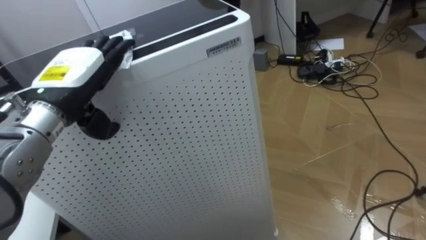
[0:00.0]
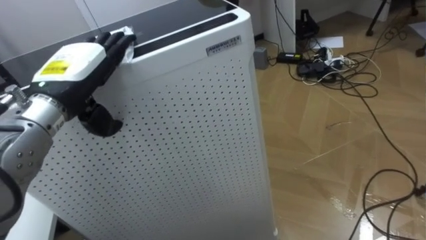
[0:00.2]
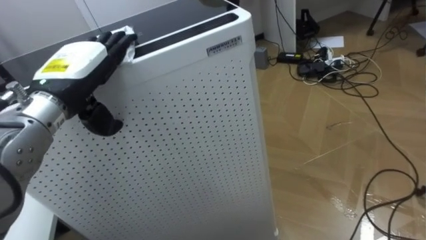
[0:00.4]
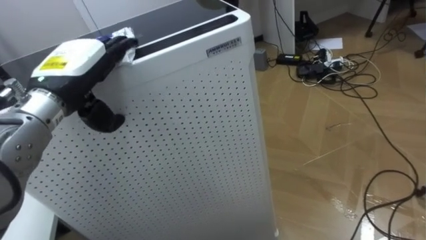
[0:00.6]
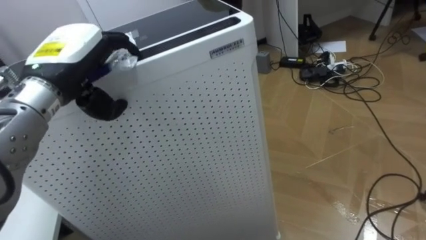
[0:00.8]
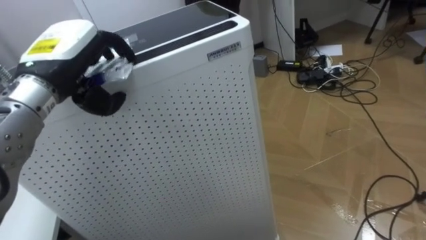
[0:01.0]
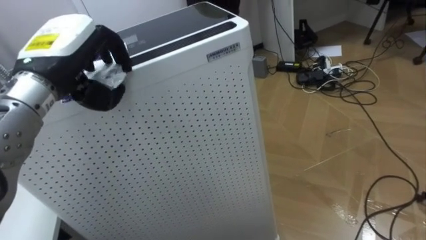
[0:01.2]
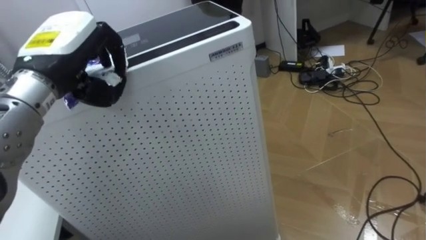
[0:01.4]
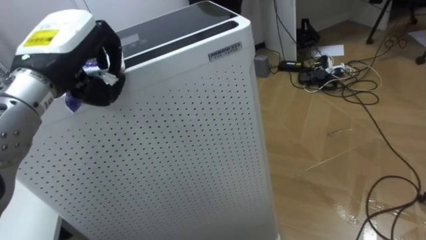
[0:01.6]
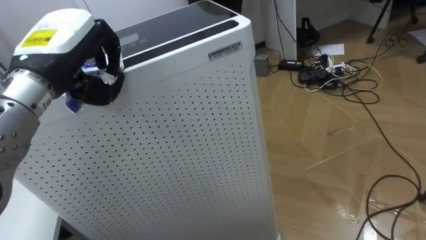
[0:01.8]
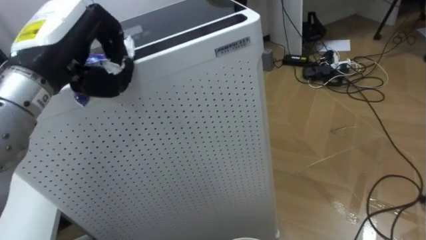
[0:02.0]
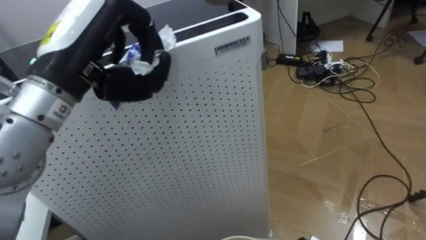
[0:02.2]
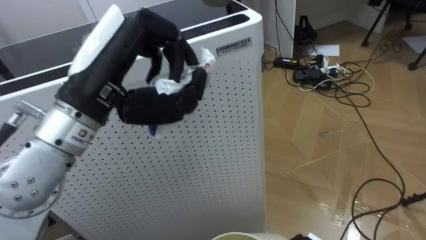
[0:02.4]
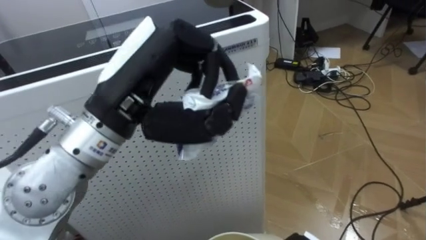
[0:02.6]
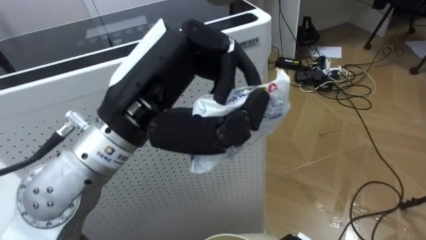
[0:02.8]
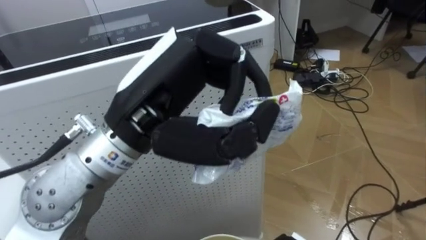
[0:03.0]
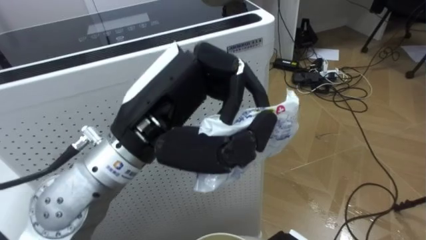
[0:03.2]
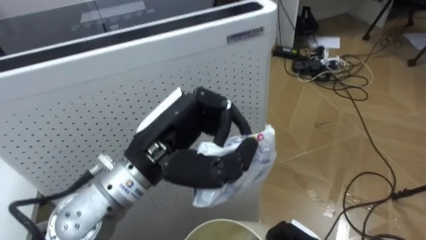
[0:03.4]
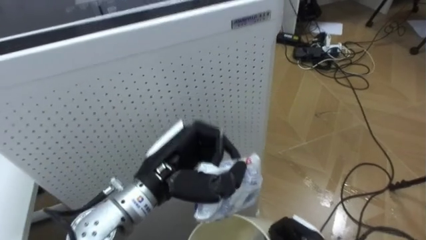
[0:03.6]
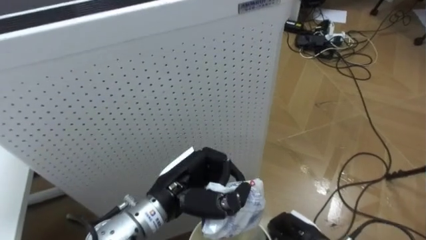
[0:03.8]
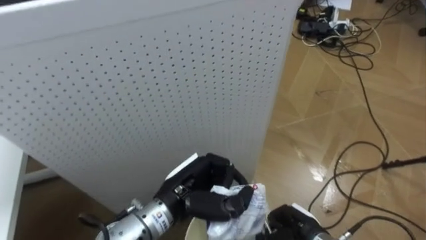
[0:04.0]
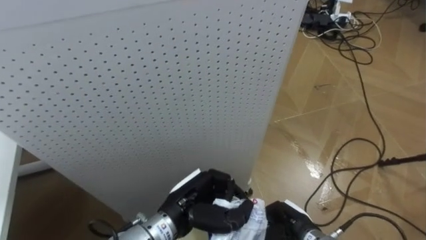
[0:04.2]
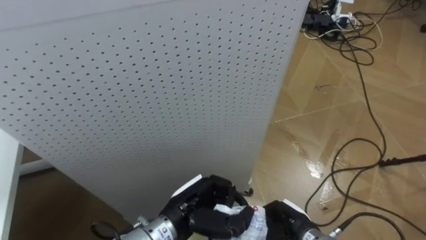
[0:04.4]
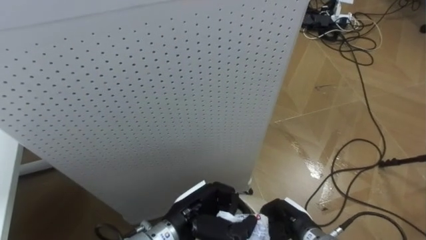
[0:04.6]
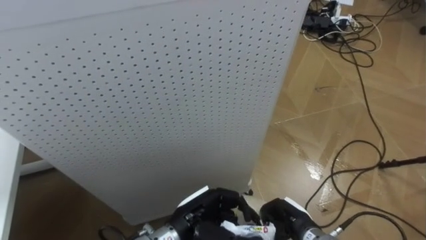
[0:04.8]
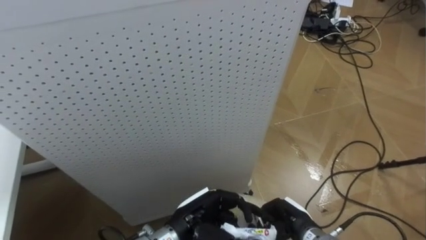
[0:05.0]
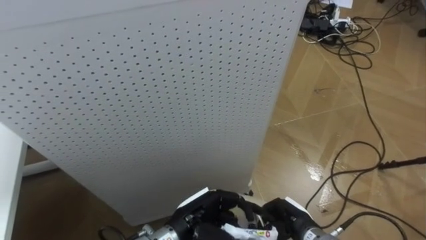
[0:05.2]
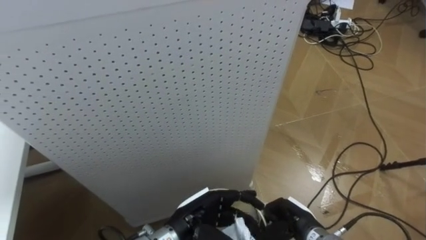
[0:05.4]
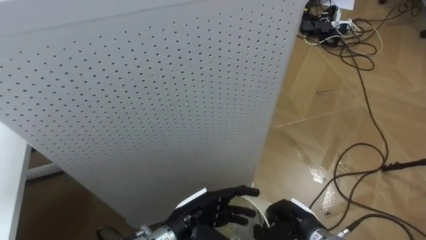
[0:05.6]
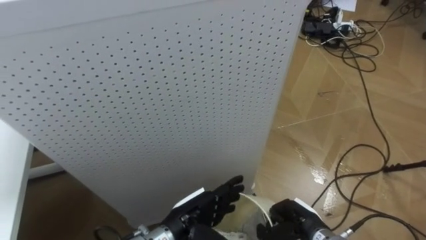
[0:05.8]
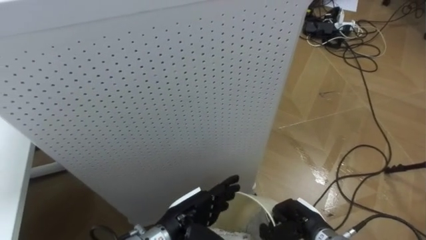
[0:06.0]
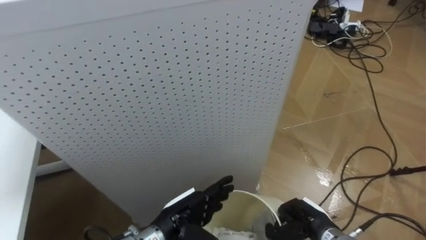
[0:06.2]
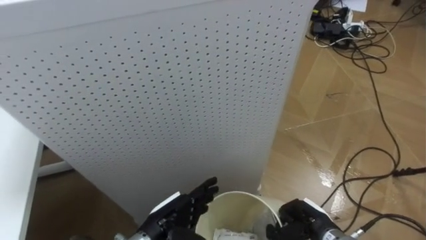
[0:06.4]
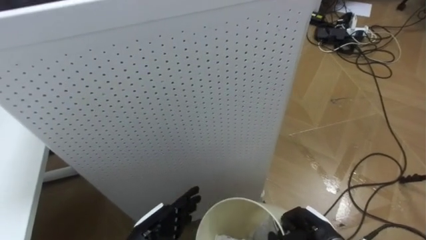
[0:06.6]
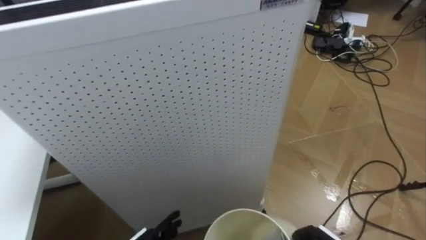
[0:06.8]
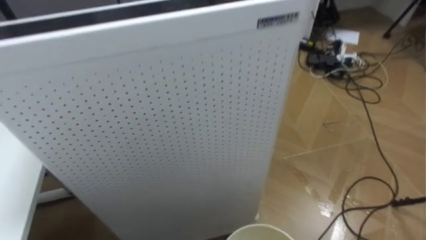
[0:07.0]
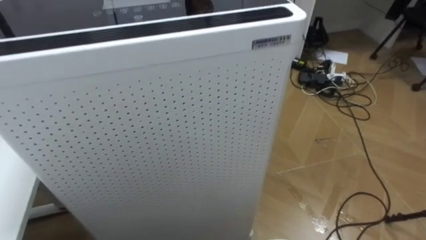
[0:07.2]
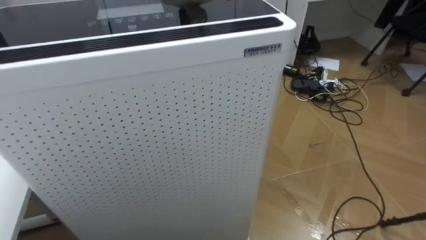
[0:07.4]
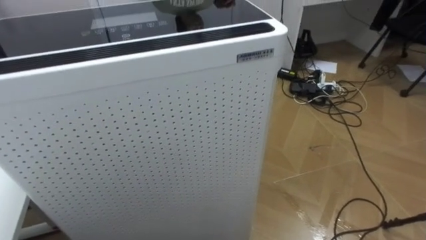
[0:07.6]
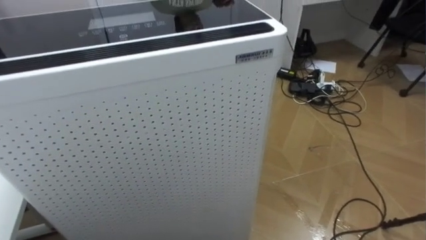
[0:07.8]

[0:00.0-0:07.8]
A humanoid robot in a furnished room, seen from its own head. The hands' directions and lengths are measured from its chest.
Task of the whole recording: Pick up the light blue package, the candy box, and the dark blue package separately, and put them into the trash can held in your right hand.
0:00.0 to 0:01.6: The left hand closes its fingers.
0:01.6 to 0:03.2: The left hand heads to the right and backward, covering roughly 15 cm.
0:03.2 to 0:04.6: The left hand is displaced downward by roughly 25 cm.
0:04.6 to 0:06.2: The left hand opens.

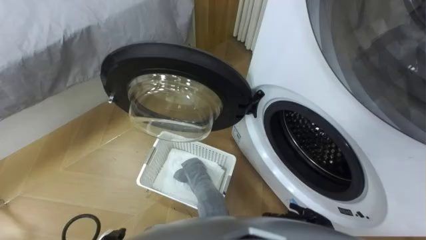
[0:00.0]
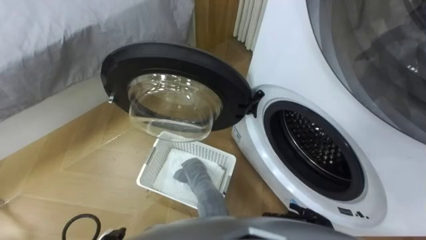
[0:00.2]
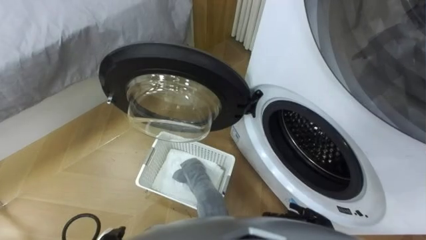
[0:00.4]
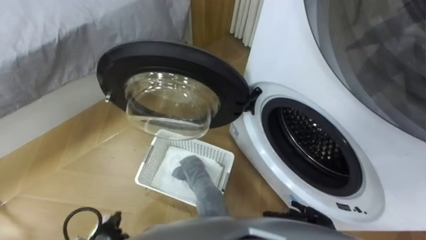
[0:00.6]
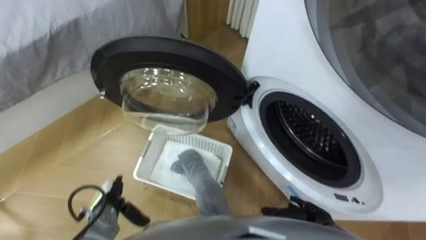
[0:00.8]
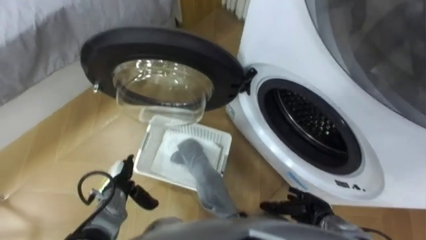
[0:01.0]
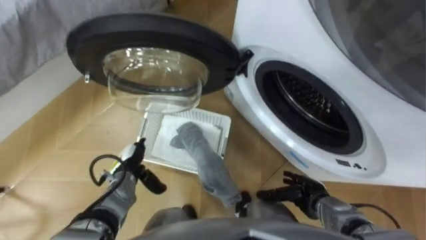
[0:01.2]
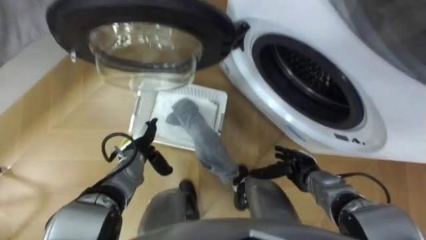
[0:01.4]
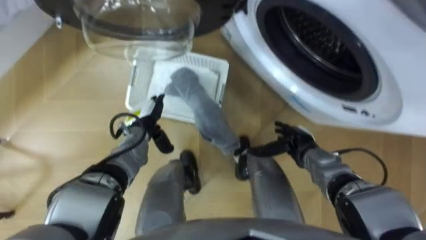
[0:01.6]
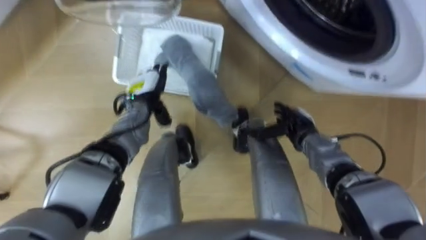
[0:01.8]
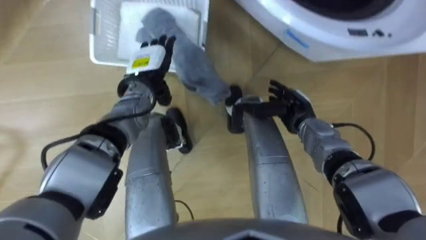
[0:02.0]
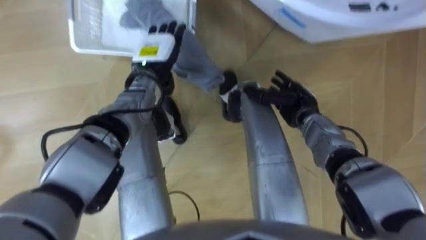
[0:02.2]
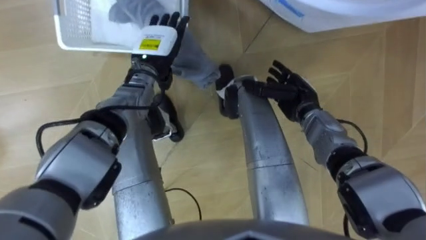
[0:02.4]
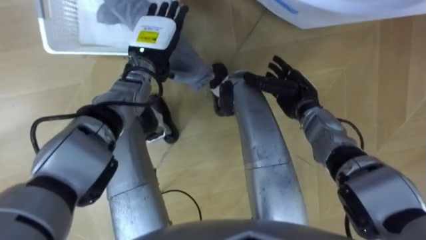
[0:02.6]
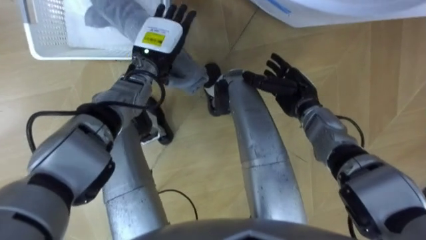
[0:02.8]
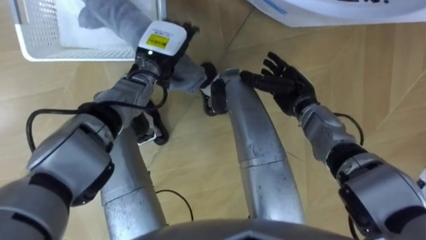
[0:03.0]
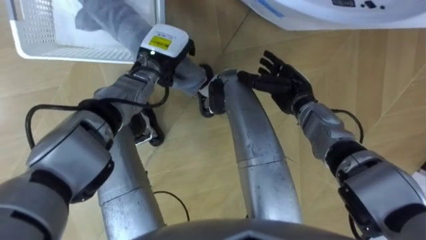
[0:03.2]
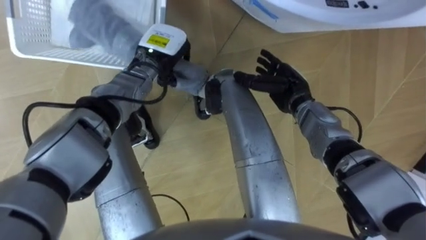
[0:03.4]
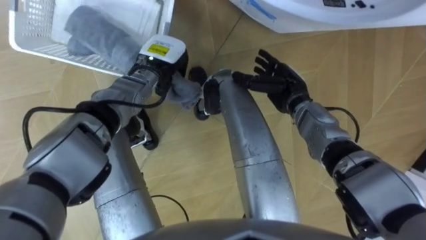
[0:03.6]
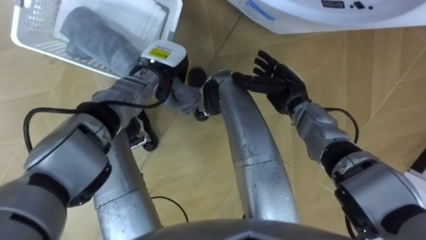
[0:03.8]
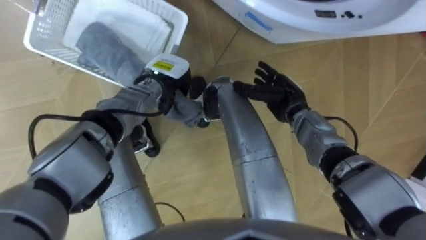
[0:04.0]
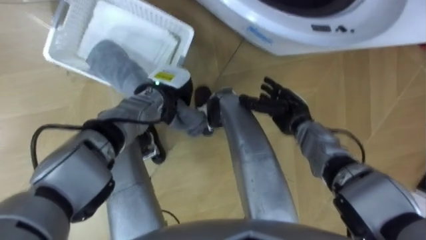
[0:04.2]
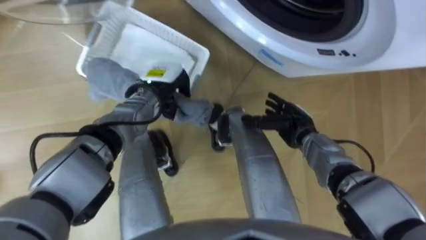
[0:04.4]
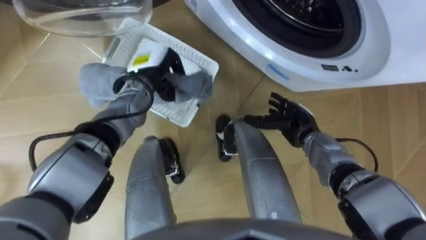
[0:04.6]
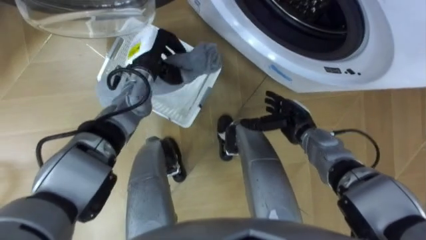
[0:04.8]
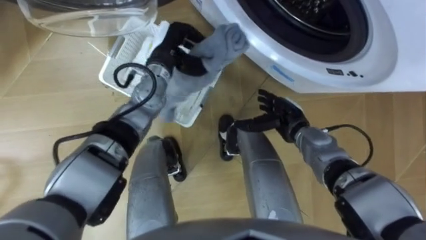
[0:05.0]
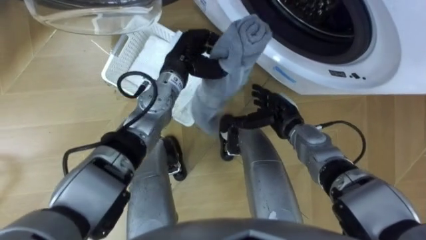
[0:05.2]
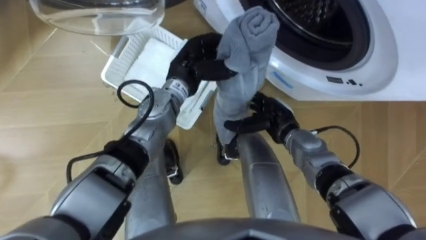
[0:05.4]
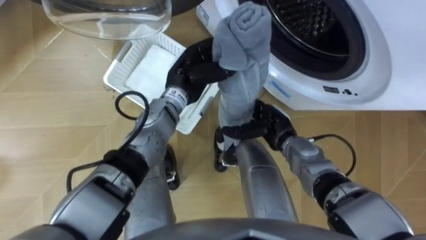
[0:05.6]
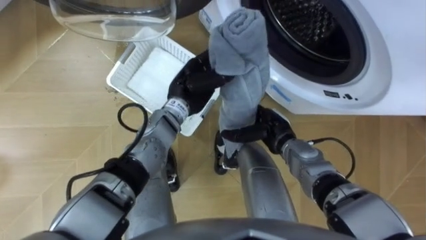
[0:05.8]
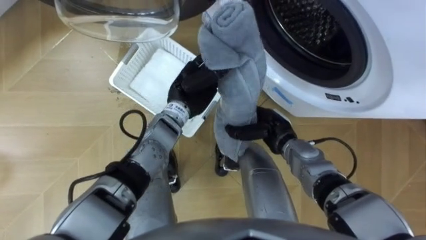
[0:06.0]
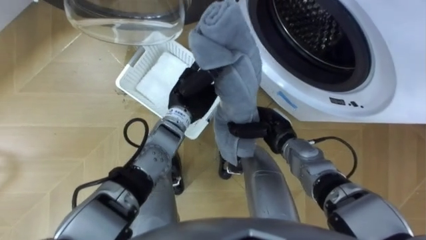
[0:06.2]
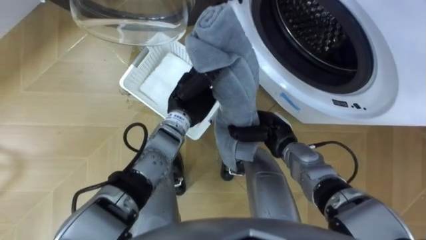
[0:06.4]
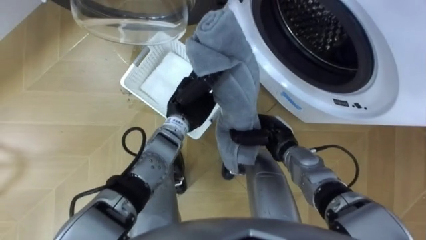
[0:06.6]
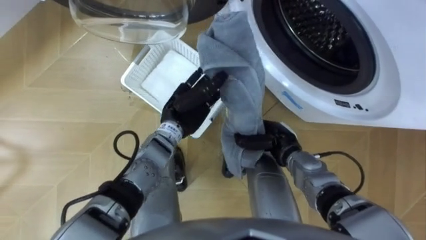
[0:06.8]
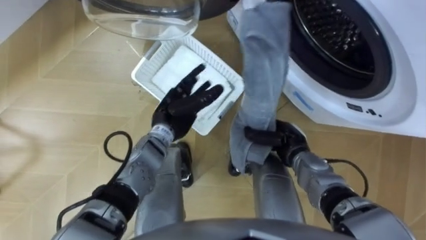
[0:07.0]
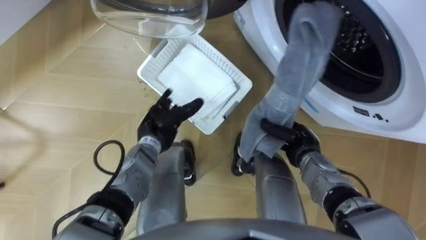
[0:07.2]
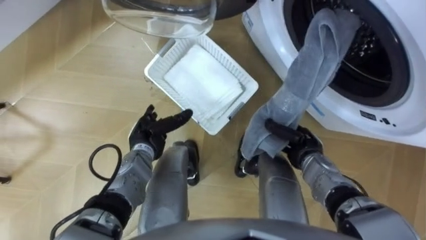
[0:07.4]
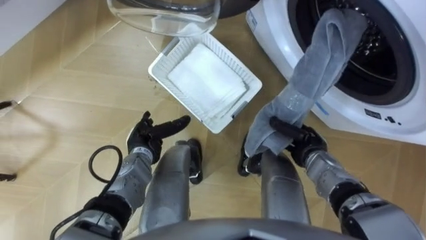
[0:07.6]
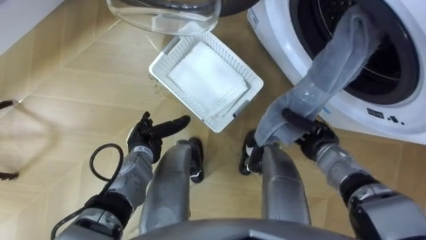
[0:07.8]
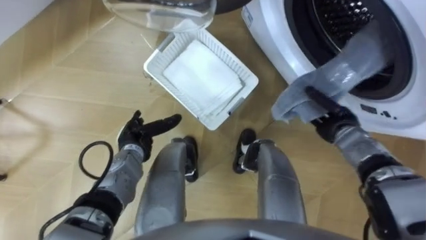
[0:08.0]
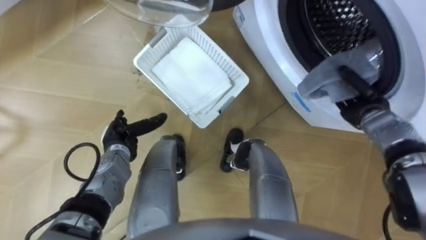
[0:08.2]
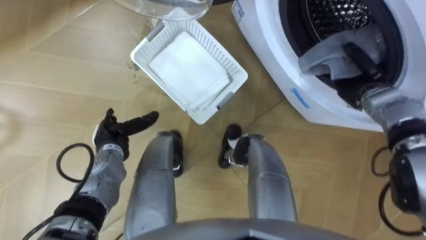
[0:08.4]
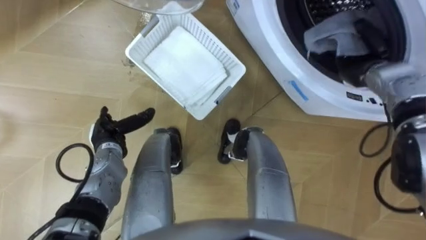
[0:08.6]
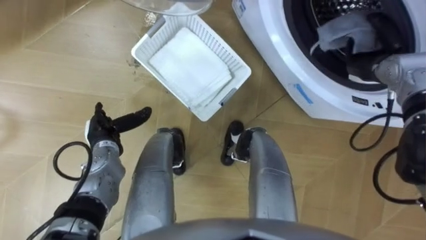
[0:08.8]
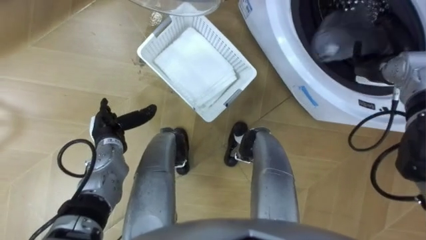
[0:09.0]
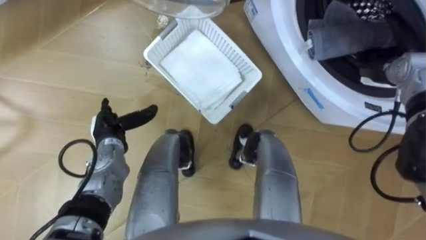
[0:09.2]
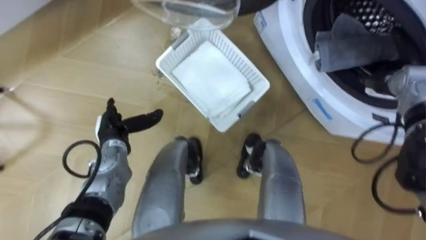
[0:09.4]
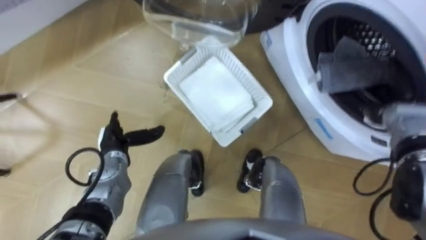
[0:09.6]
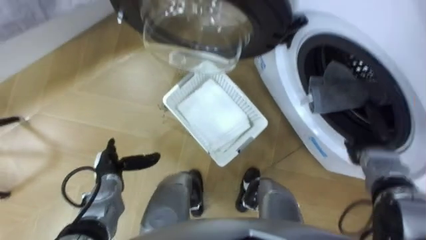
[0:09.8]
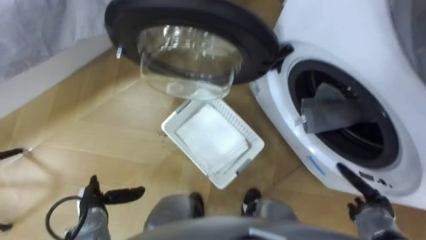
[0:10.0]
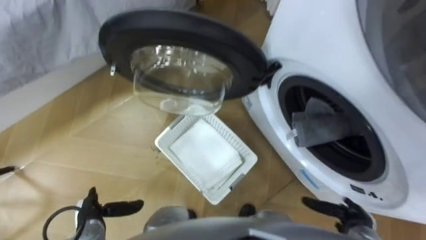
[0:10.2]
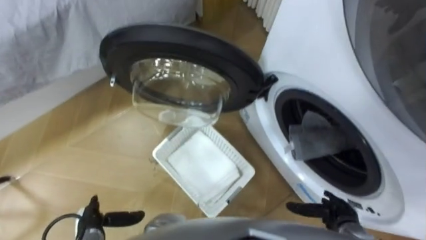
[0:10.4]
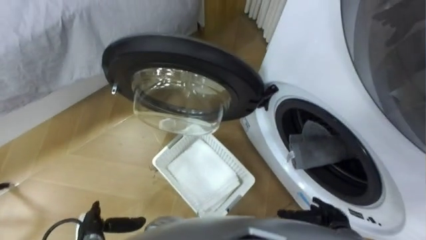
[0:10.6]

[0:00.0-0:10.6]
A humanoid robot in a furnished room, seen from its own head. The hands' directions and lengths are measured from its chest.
Task of the whole recording: Take the towel from the basket and put it into the washing machine.
0:01.6 to 0:03.0: The right hand heads forward and upward, covering some 15 cm; the left hand moves upward, forward and to the right, some 20 cm.
0:03.0 to 0:04.6: The left hand closes up. Meanwhile the right hand goes about 10 cm backward and downward.
0:04.6 to 0:06.0: The right hand travels to the left by roughly 5 cm, while the left hand travels to the right and backward by about 10 cm.
0:06.0 to 0:07.6: The right hand goes approximately 10 cm to the right. Meanwhile the left hand shifts about 20 cm downward, to the left and backward, and opens.
0:07.6 to 0:09.0: The left hand heads to the left, covering some 10 cm; the right hand moves upward, to the right and forward, some 25 cm, and opens its fingers.
0:09.0 to 0:10.6: The left hand moves backward and downward, roughly 20 cm, while the right hand is displaced backward and downward by roughly 35 cm.
